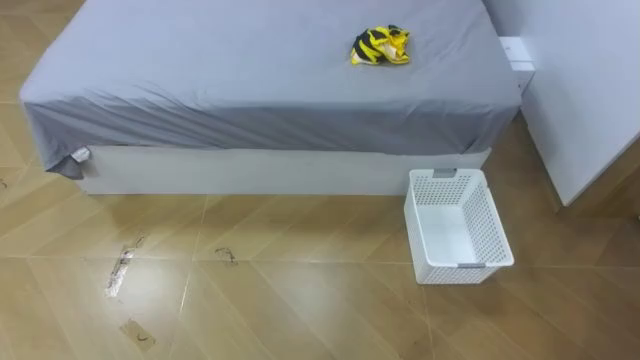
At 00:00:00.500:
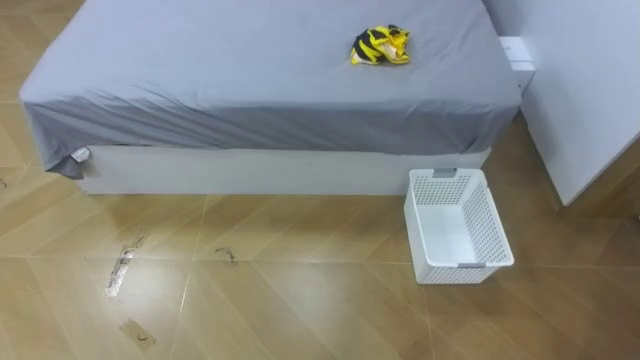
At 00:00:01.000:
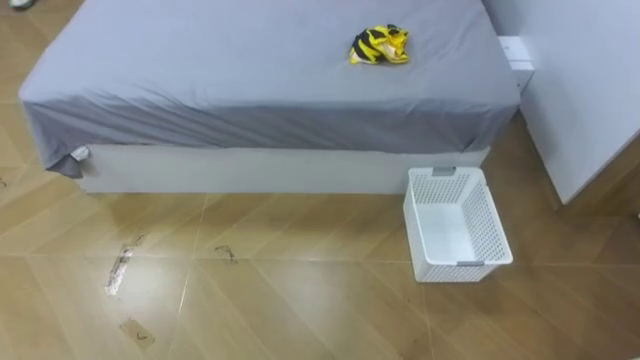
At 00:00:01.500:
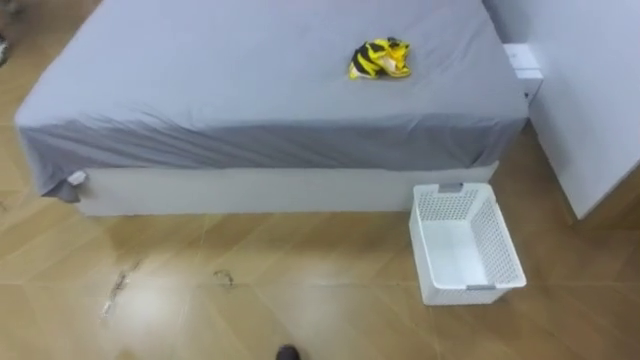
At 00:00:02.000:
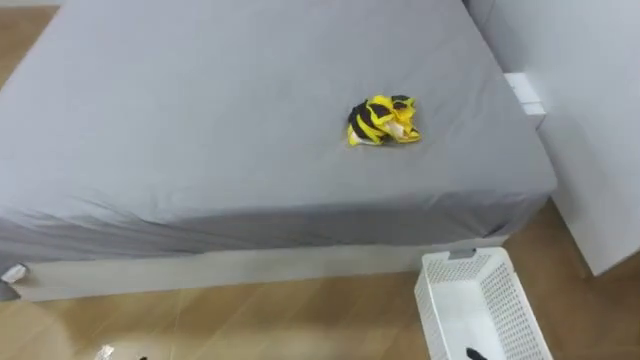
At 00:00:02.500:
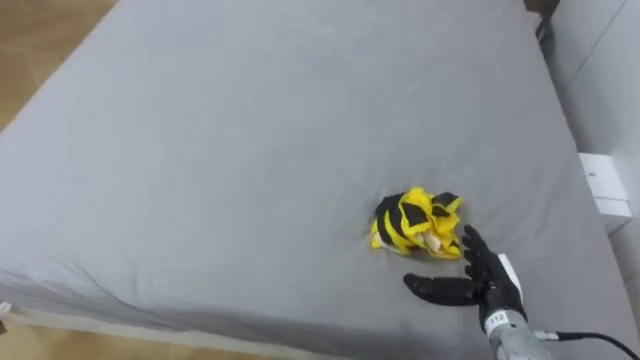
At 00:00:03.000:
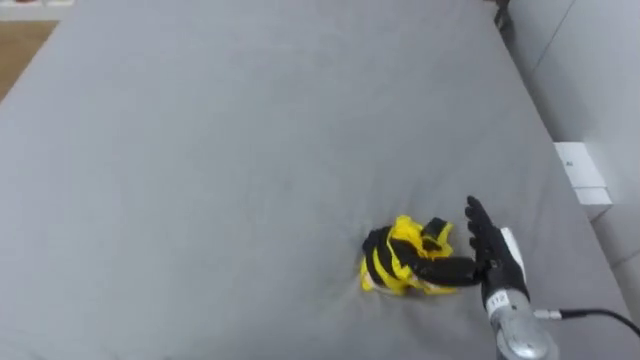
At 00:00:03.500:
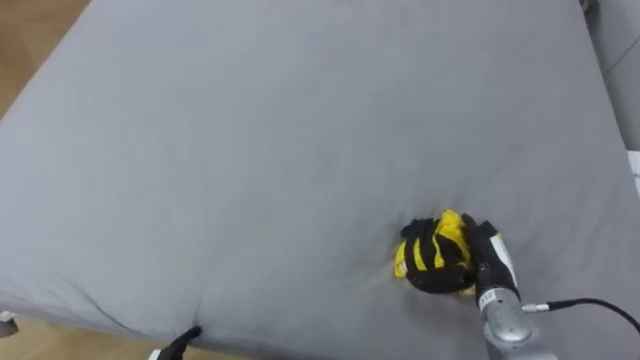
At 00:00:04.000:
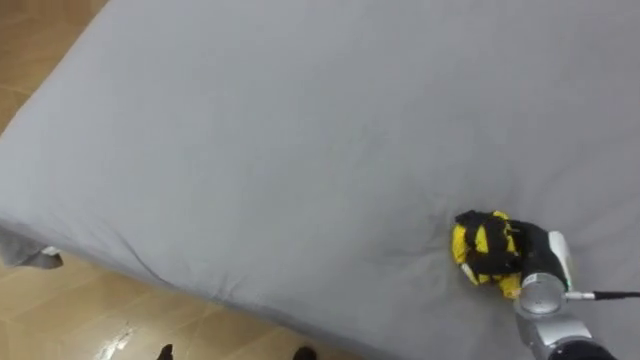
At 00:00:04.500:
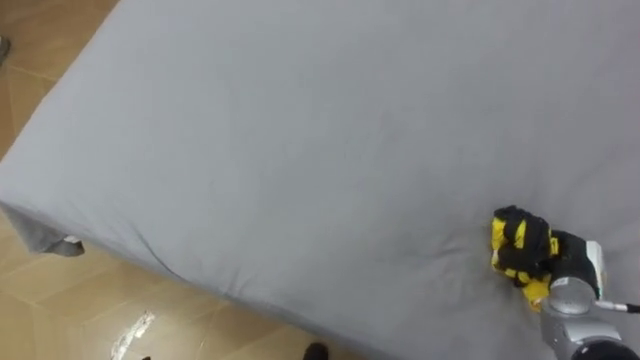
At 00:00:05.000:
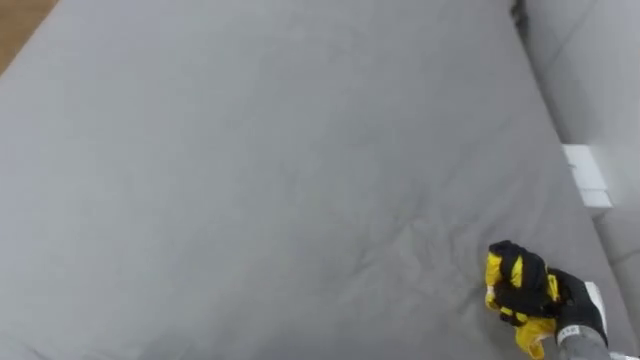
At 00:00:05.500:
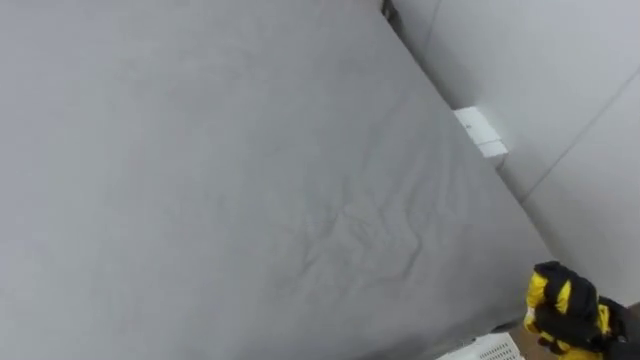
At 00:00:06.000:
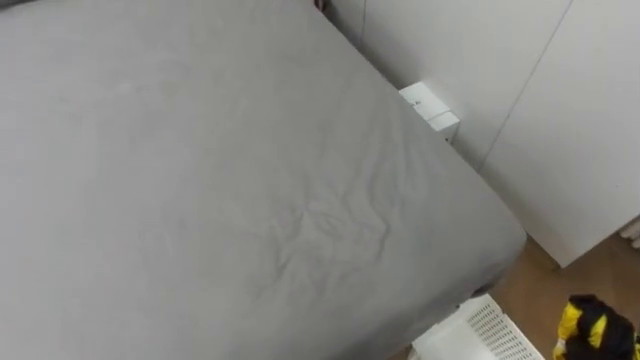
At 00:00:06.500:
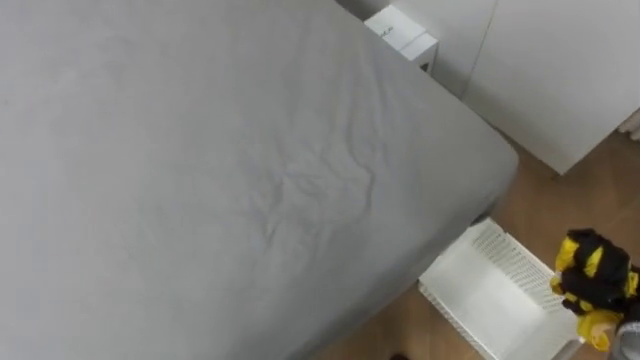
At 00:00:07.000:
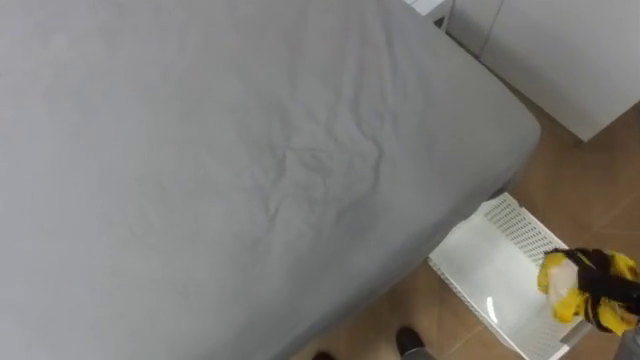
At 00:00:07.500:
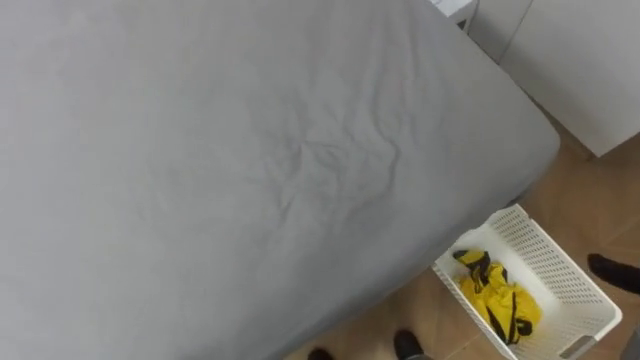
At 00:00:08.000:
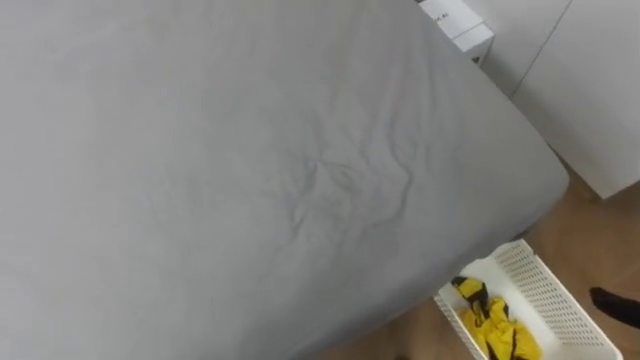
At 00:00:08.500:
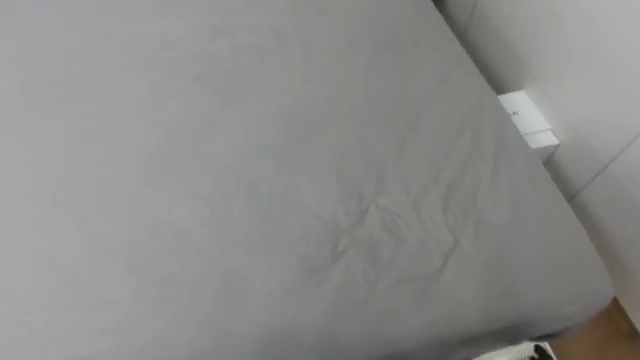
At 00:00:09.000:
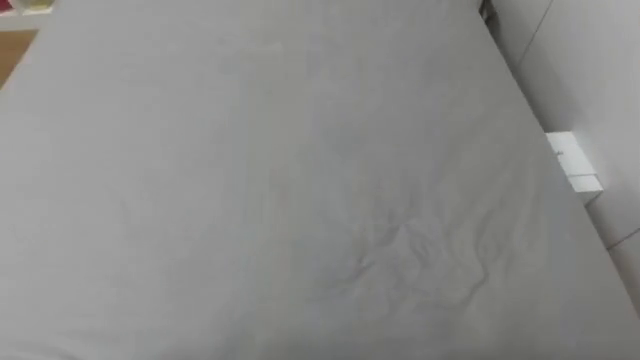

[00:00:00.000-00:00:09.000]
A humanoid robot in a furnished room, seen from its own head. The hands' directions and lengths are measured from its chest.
Task of the whole recording: Pick up the yellow clothes on the bed and place them into the white basket on the right.
00:00:02.000 to 00:00:04.500: The robot faces approximately 15 degrees further to its left.
00:00:07.000 to 00:00:09.000: The robot rotates approximately 20 degrees to its left.

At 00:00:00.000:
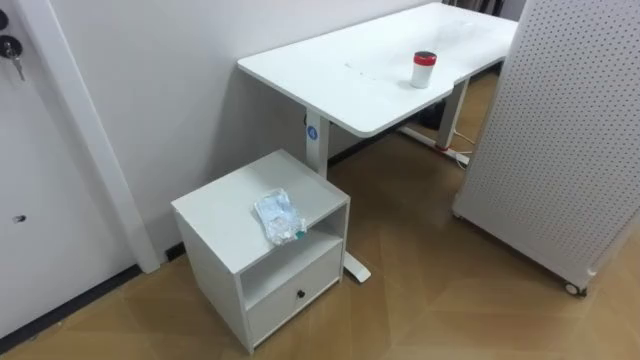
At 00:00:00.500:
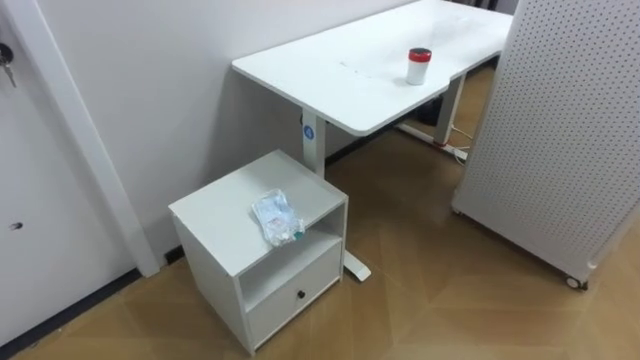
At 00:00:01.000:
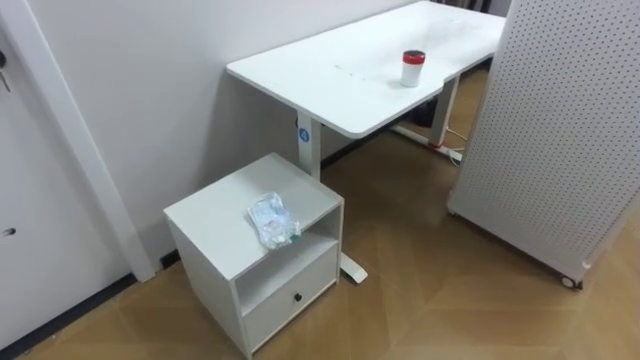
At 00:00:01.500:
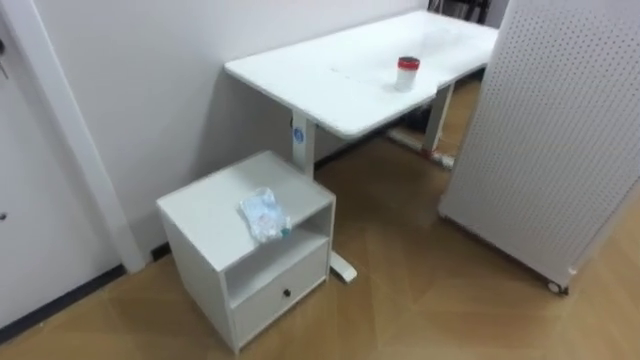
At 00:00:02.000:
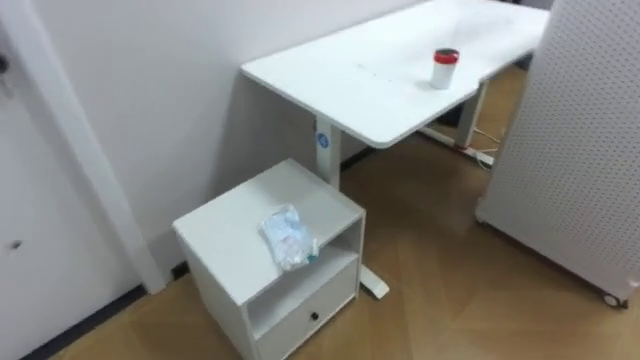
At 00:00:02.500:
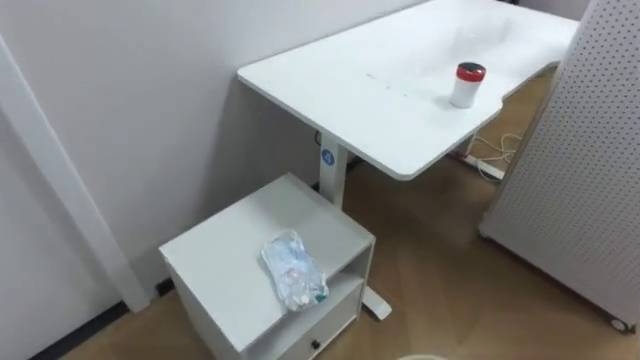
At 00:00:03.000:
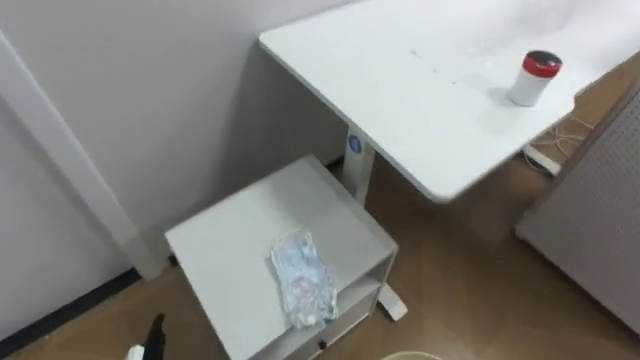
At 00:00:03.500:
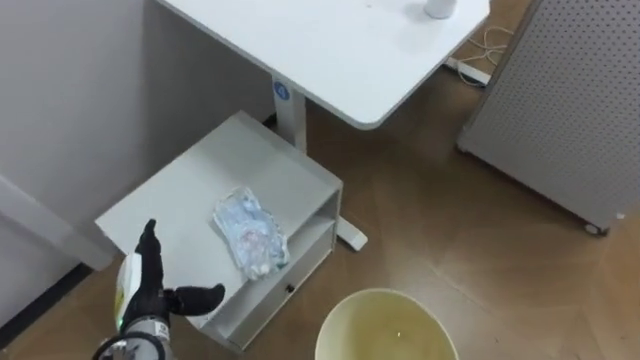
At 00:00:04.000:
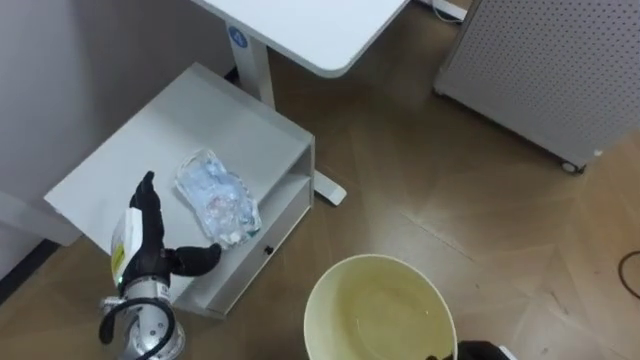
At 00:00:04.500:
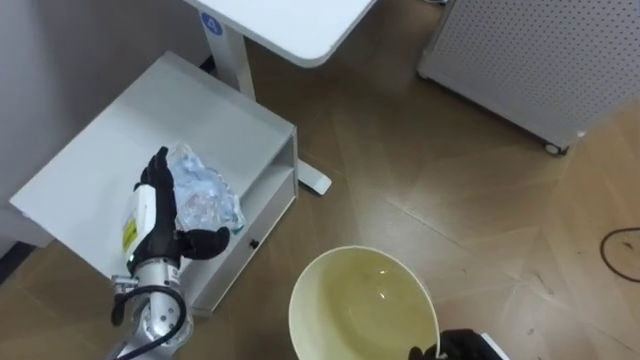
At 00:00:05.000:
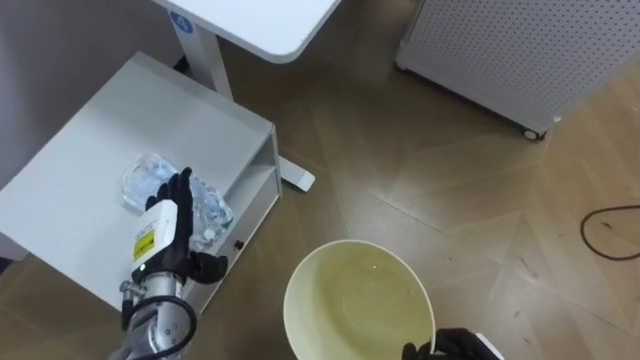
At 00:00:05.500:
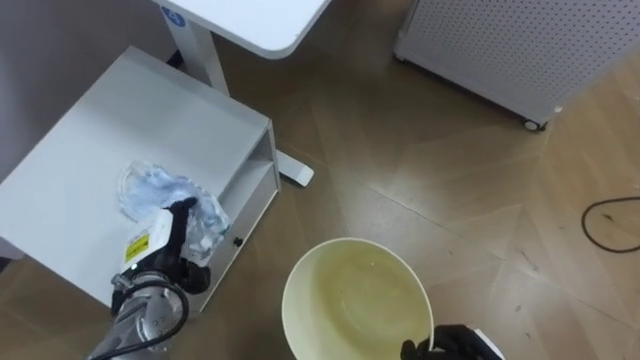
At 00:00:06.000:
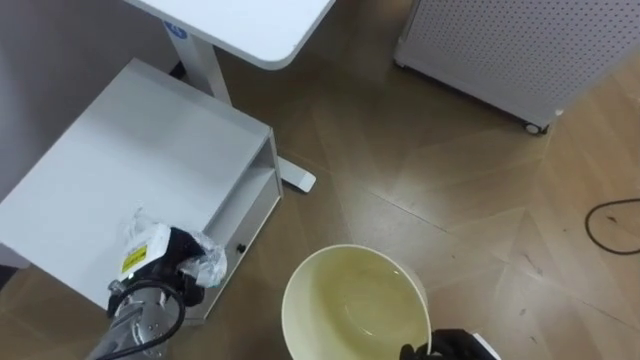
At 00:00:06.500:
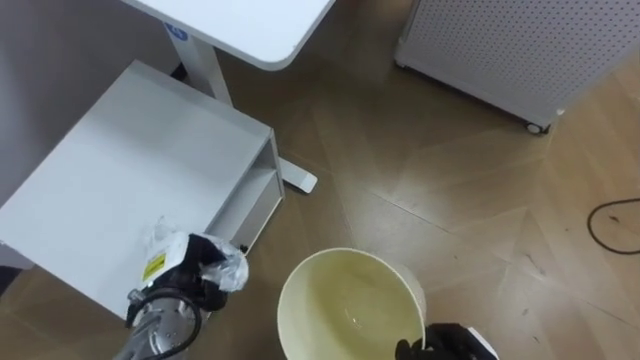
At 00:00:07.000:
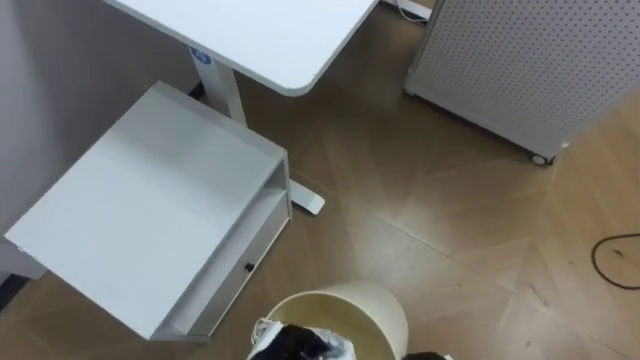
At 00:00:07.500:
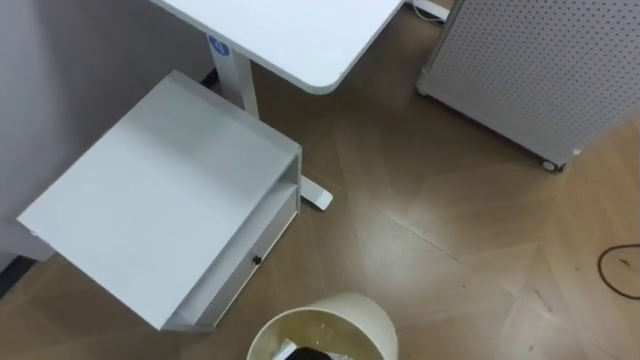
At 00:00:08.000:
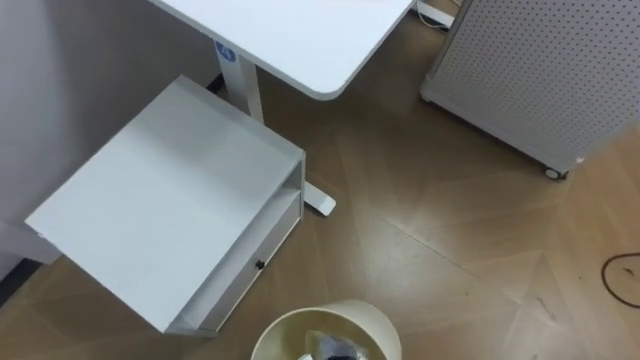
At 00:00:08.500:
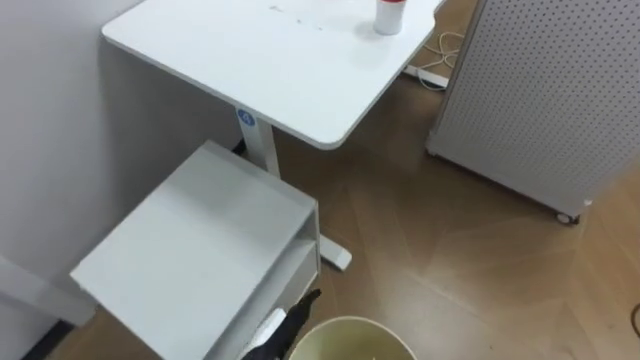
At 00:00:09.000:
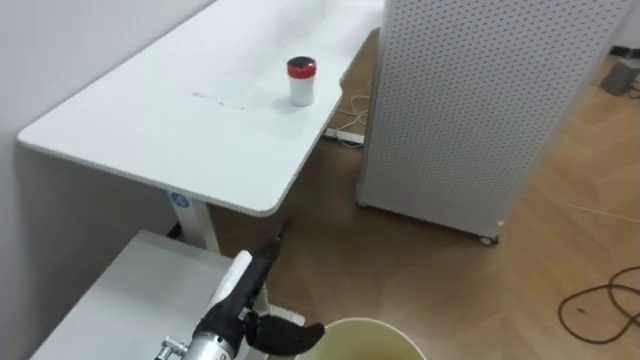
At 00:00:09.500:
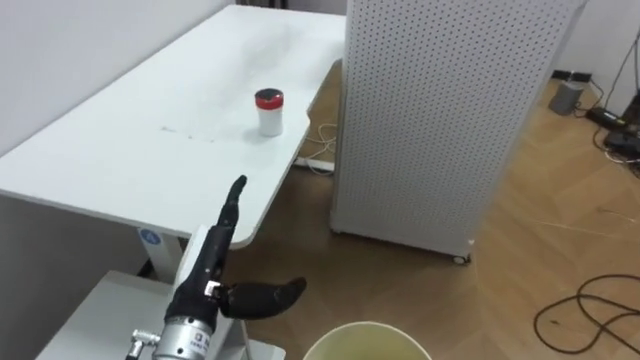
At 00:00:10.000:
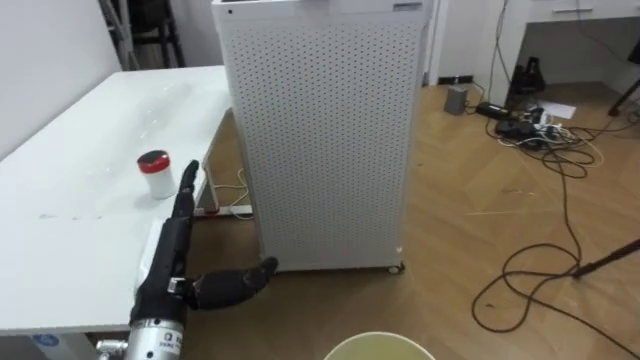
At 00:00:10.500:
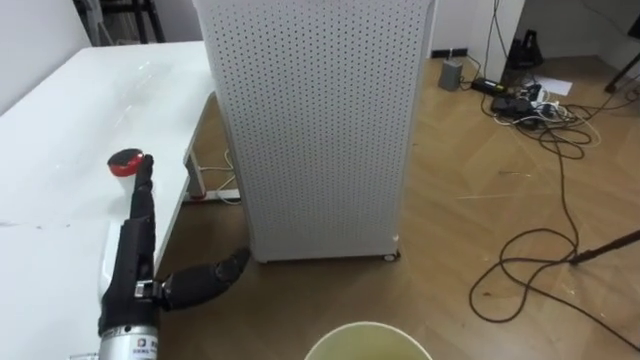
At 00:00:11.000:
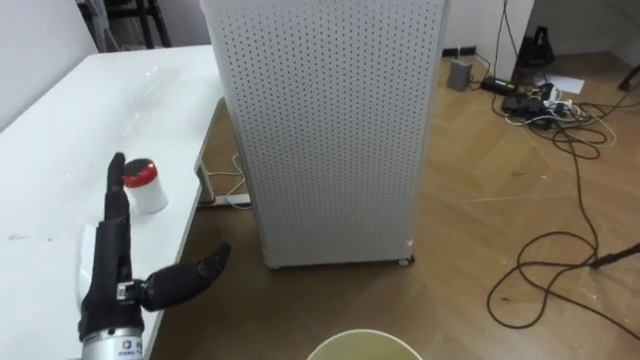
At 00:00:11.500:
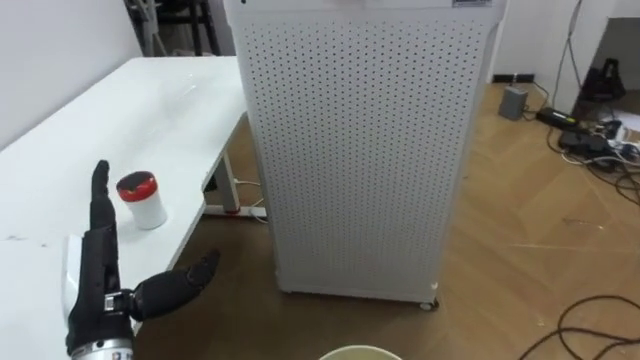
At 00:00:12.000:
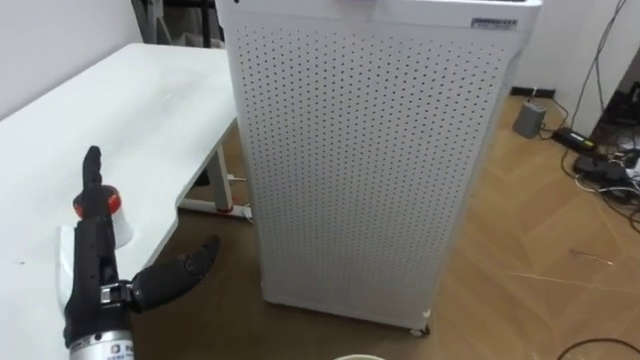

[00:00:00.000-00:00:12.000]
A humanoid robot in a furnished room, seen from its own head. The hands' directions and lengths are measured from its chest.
Task of the whole recording: Pick up the light blue package, the candy box, and the dark blue package separately, and put them into the trash can held in your right hand.
00:00:04.000 to 00:00:06.000: The left hand closes up.
00:00:08.000 to 00:00:10.000: The robot's body swings approximately 40 degrees to its right.
00:00:10.000 to 00:00:12.000: The left hand goes some 5 cm to the left.
